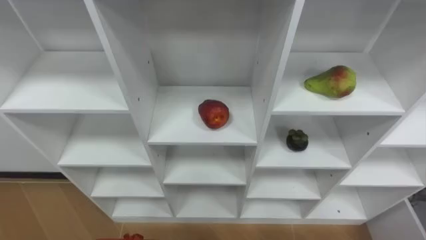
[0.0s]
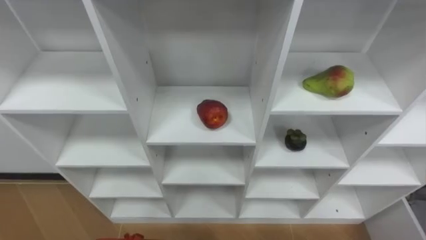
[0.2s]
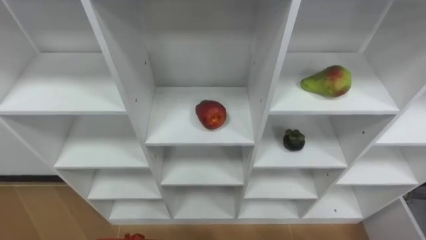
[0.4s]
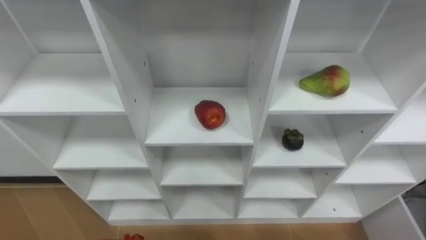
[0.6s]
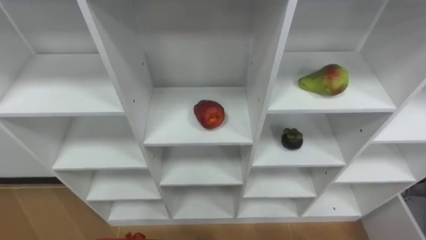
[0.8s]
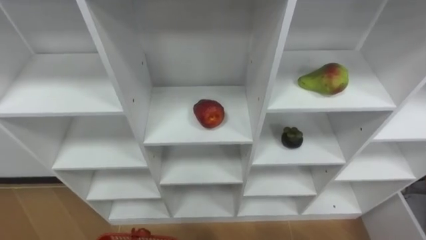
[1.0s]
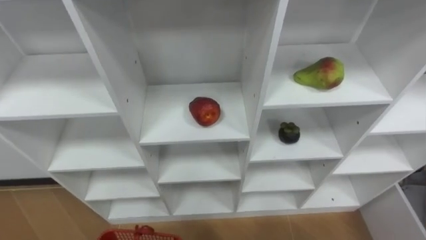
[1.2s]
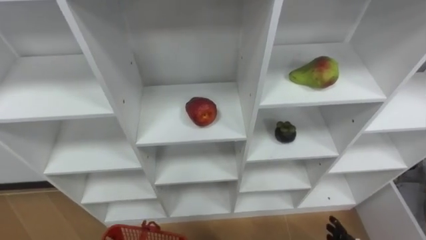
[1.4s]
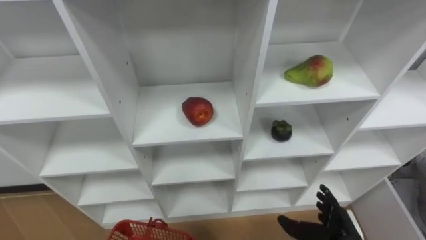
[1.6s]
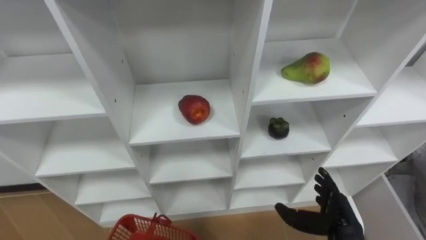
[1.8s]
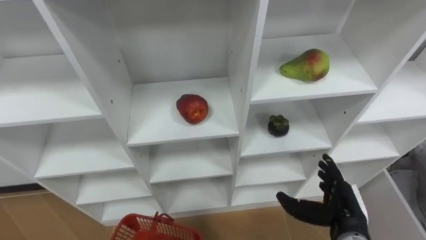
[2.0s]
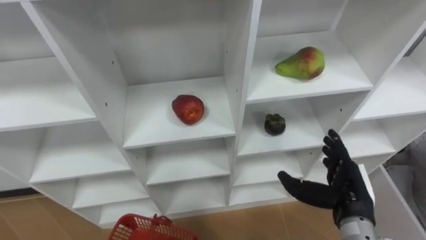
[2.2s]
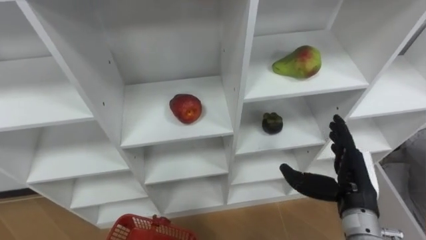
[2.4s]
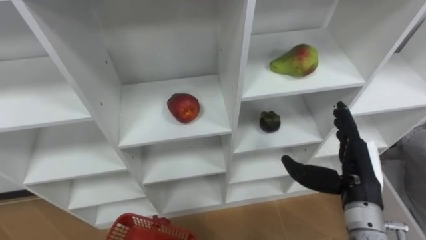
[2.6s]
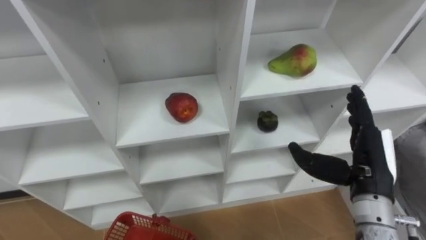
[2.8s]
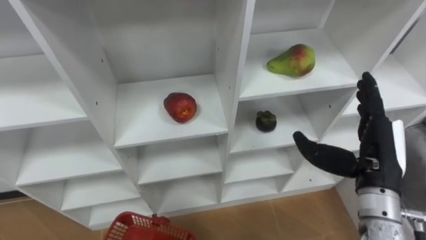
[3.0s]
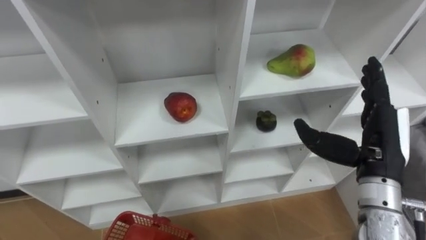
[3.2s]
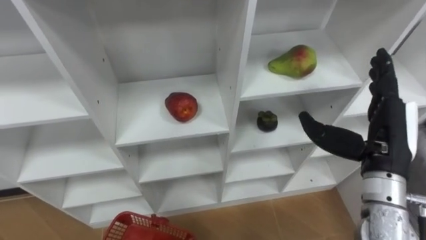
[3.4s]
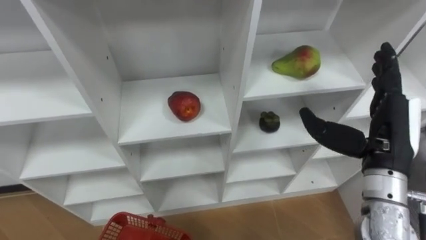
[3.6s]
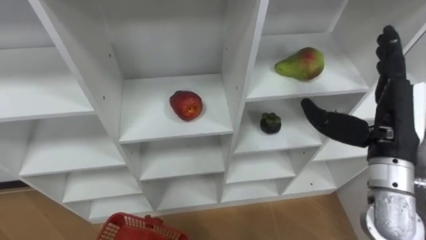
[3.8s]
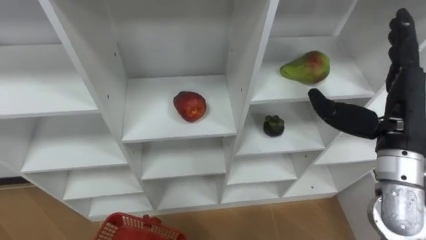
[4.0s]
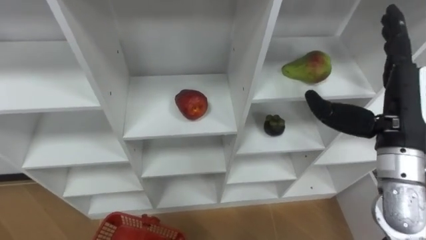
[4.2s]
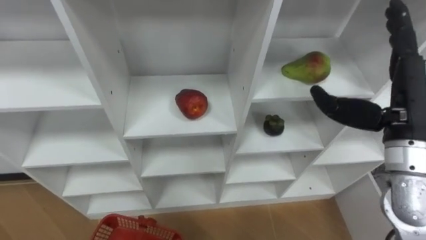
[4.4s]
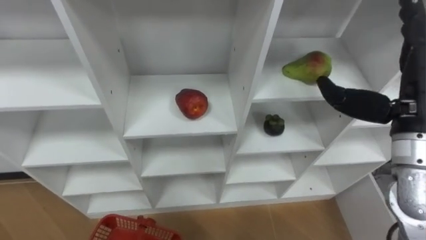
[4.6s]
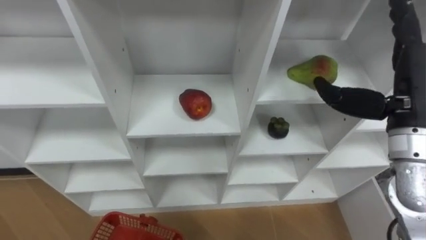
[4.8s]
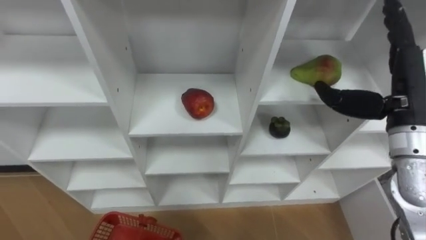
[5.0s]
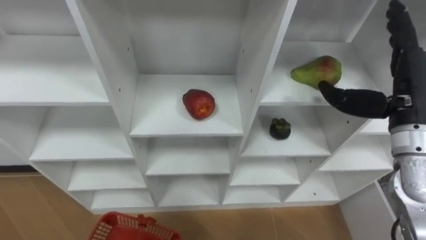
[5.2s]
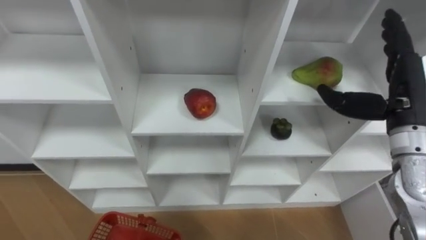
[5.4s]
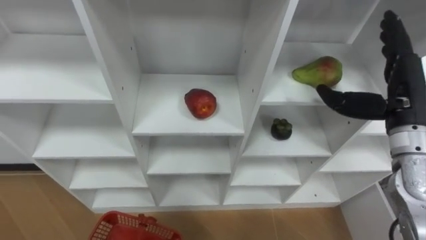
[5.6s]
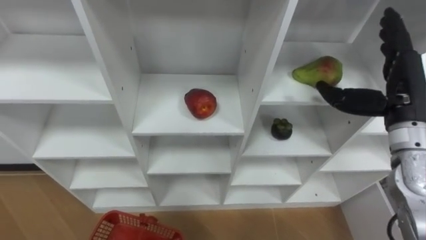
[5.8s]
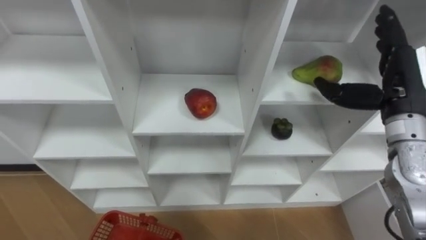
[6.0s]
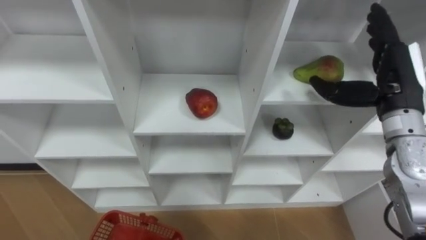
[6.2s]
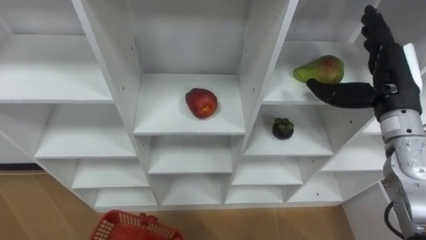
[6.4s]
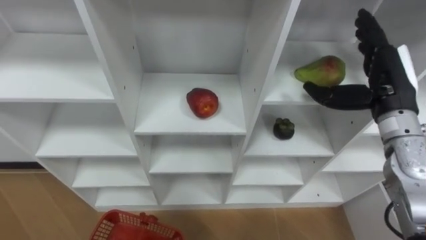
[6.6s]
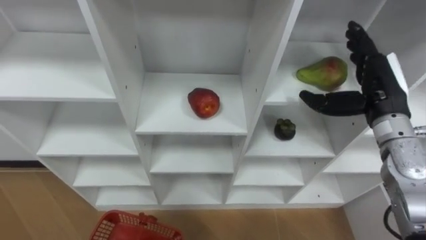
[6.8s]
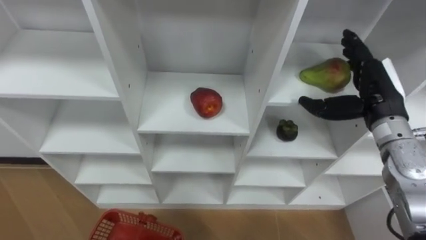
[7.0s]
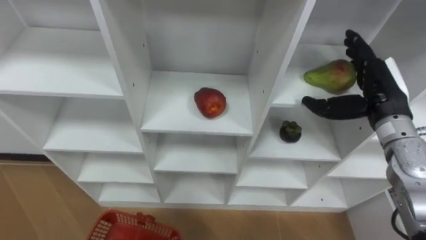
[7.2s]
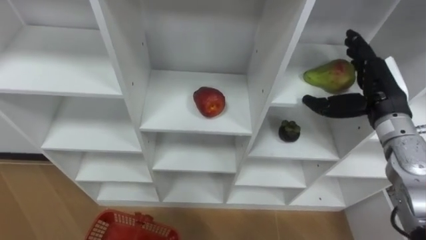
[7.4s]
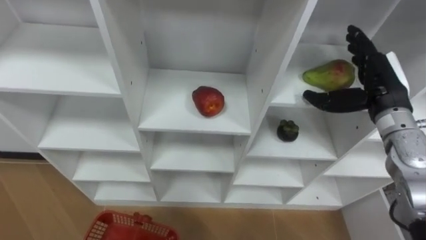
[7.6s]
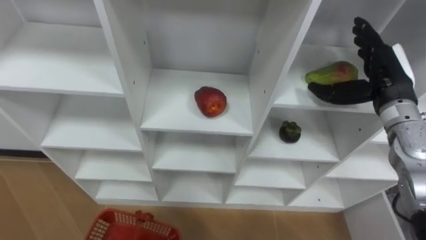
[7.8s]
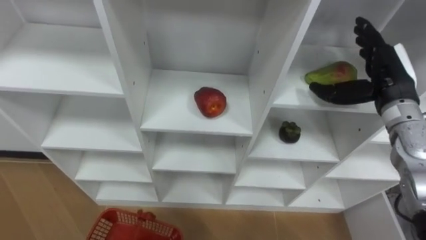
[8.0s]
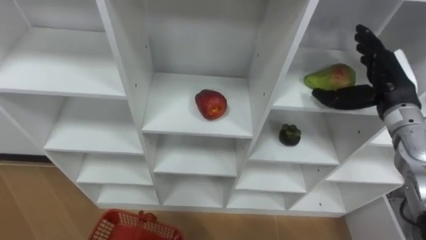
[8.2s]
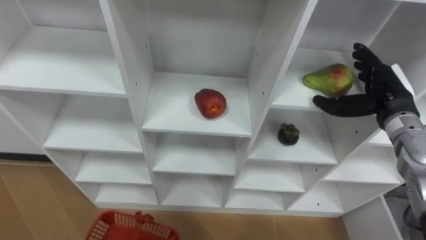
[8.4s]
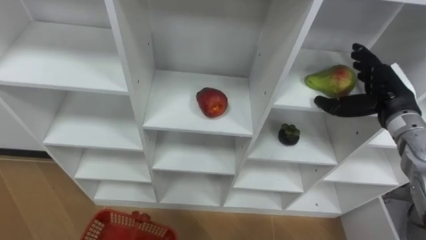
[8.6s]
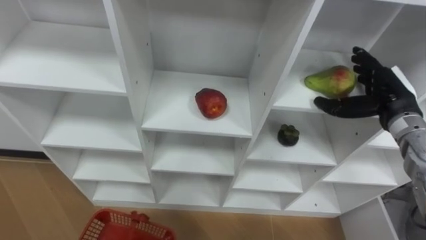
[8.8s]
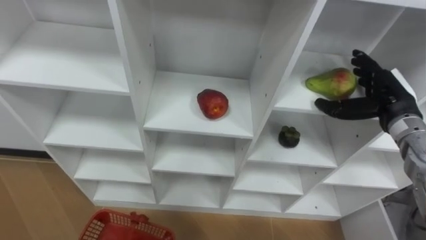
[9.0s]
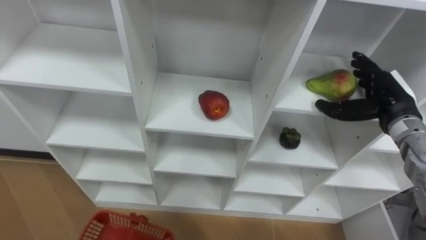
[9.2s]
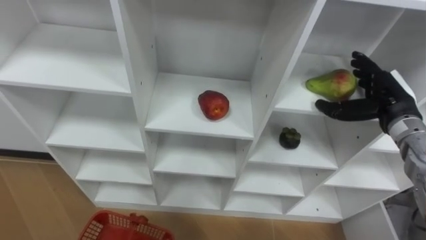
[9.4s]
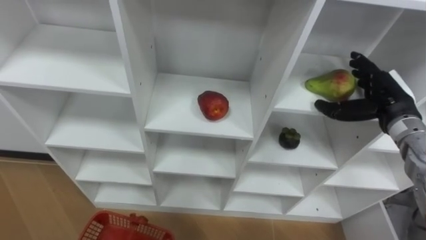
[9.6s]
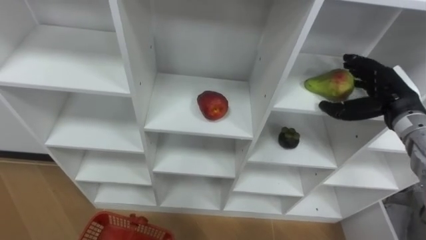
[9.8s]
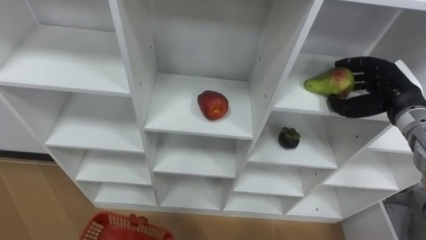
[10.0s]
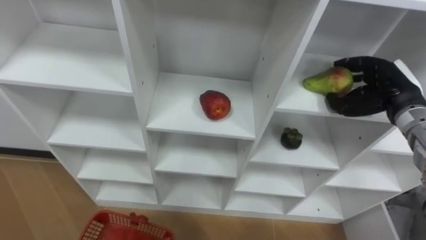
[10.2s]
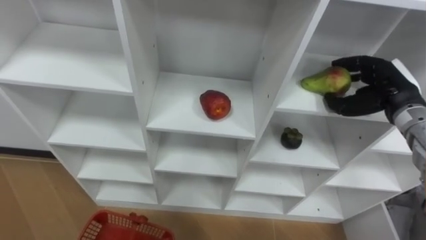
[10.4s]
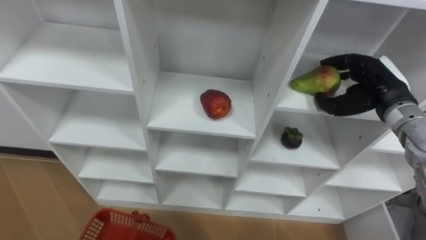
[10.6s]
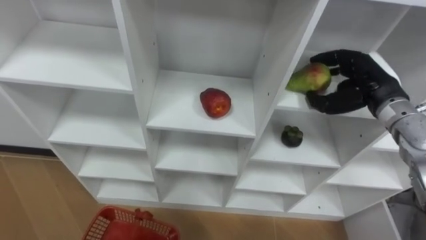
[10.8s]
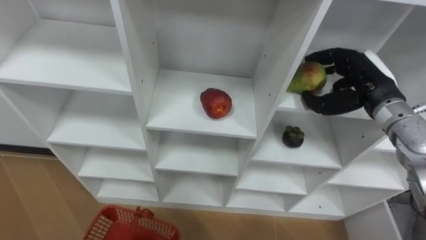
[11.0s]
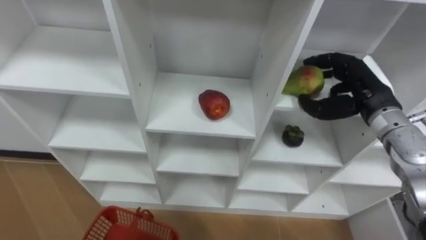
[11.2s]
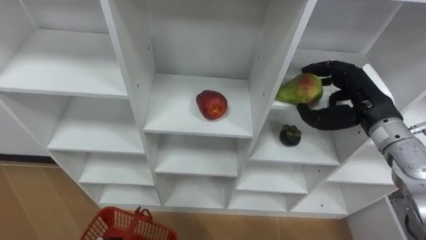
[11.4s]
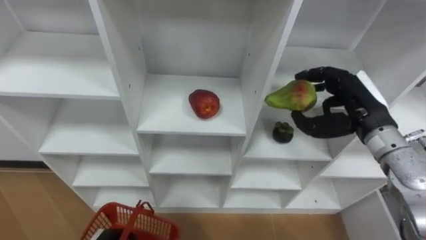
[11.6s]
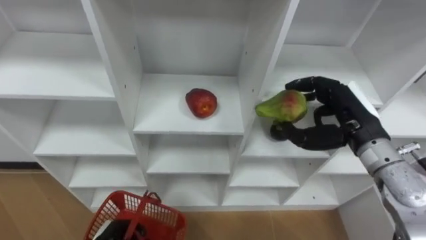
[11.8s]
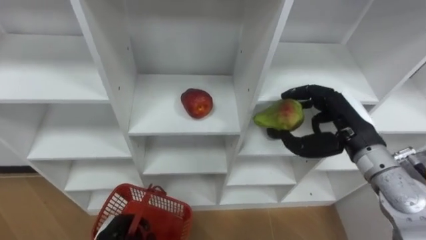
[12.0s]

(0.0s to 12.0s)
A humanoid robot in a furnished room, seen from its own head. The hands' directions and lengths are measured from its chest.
Task of the whole recording: Hold the basket and collect the fruits from 3 different cells of the closet into it.
1.6s - 3.0s: The right hand moves upward, approximately 20 cm.
3.0s - 4.4s: The right hand travels upward by roughly 10 cm.
4.4s - 6.0s: The right hand is displaced forward by roughly 5 cm.
7.6s - 9.0s: The right hand shifts by some 5 cm.
9.0s - 10.4s: The right hand closes.
10.4s - 12.0s: The right hand goes approximately 10 cm to the left and backward.

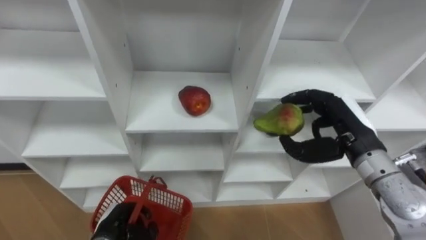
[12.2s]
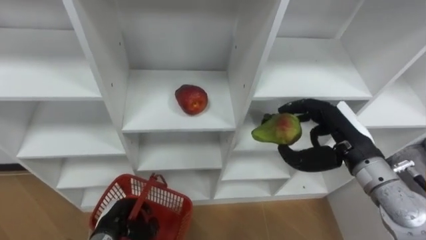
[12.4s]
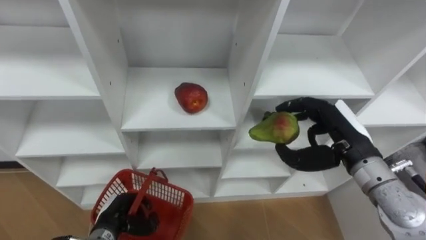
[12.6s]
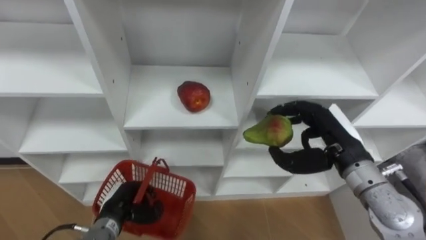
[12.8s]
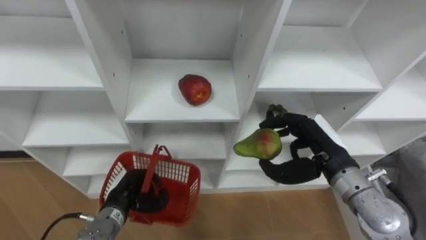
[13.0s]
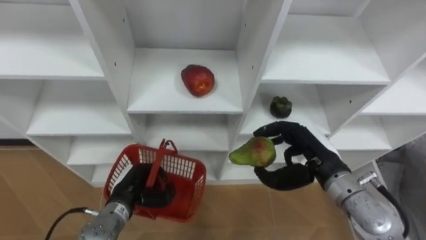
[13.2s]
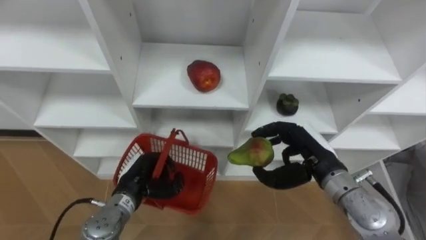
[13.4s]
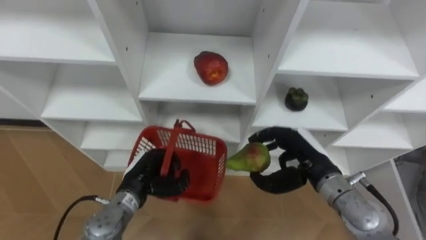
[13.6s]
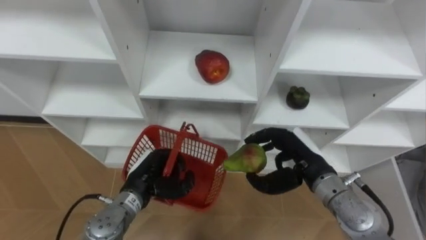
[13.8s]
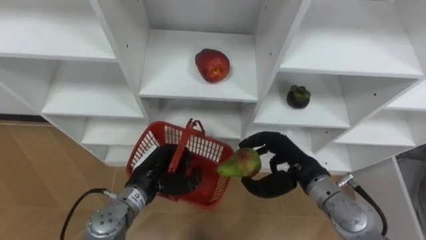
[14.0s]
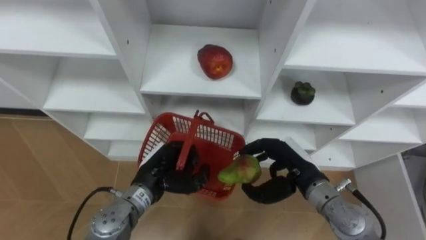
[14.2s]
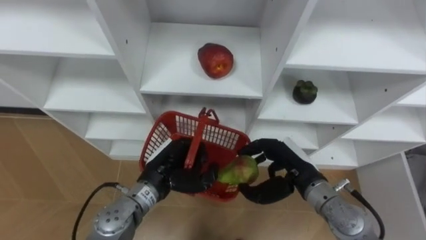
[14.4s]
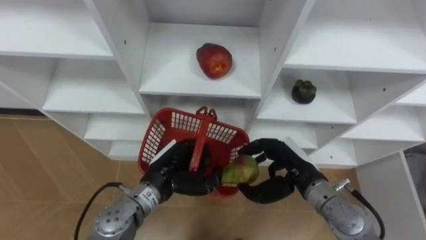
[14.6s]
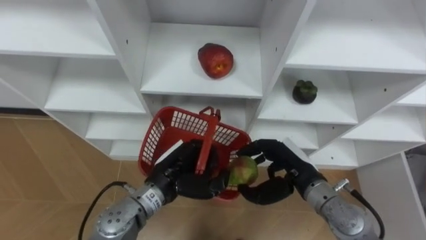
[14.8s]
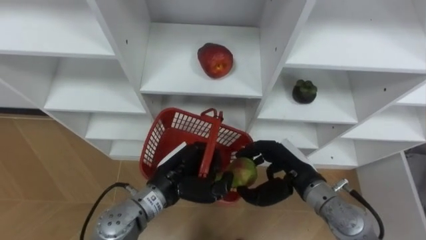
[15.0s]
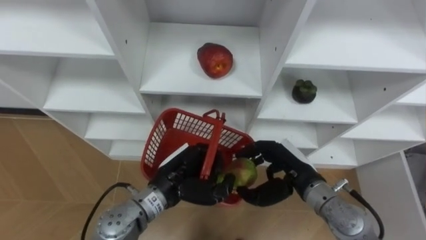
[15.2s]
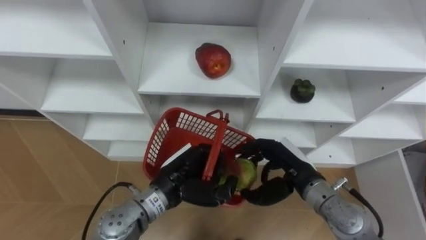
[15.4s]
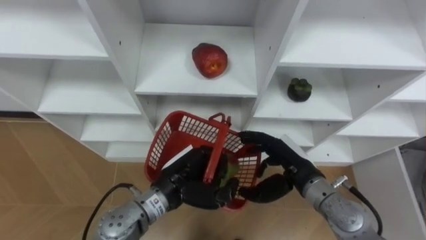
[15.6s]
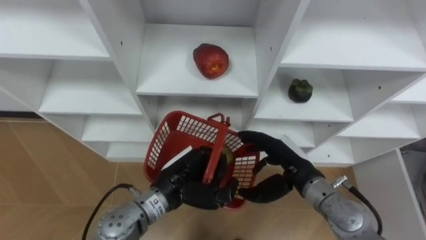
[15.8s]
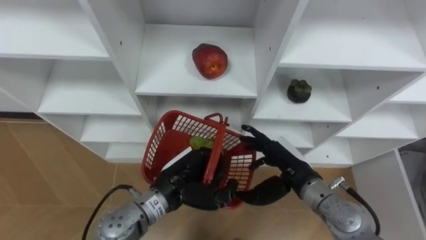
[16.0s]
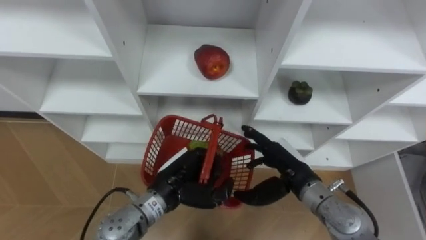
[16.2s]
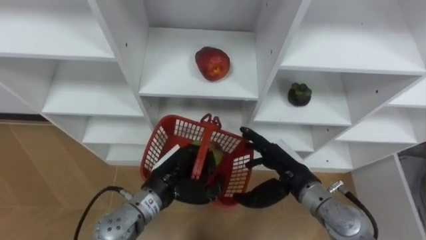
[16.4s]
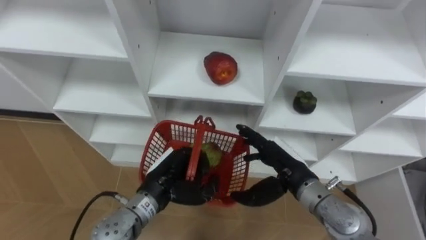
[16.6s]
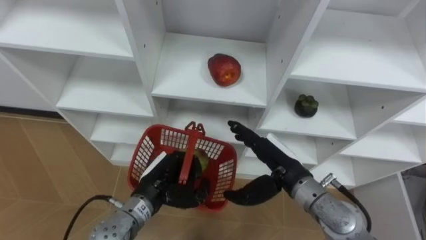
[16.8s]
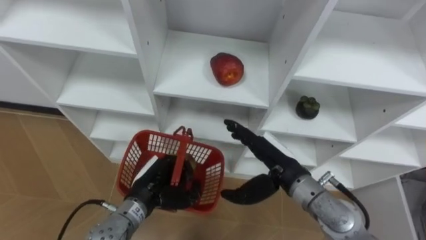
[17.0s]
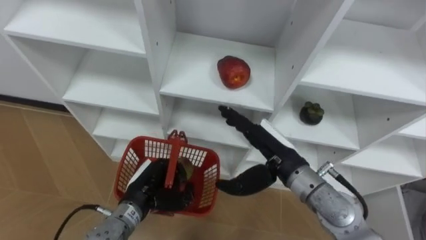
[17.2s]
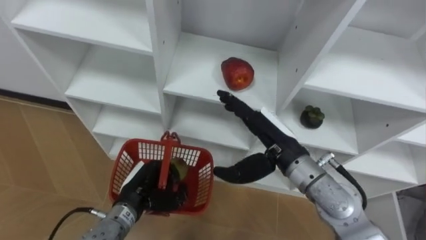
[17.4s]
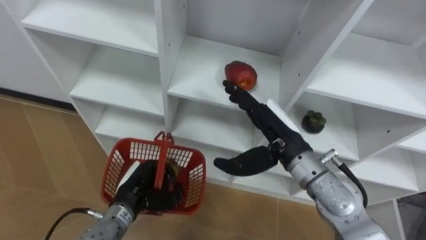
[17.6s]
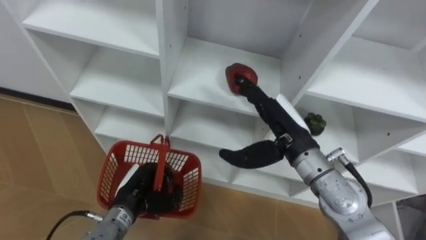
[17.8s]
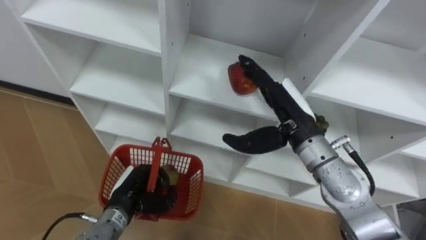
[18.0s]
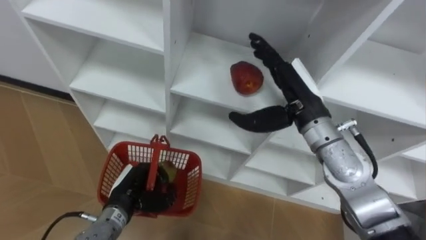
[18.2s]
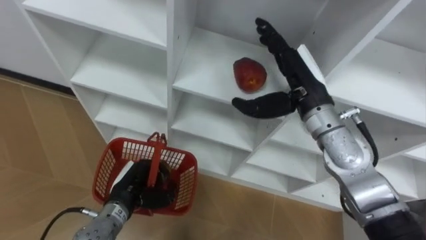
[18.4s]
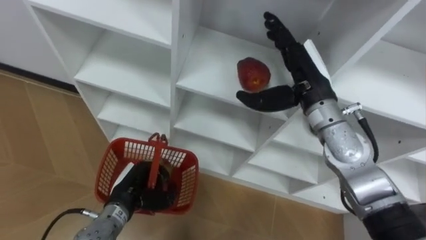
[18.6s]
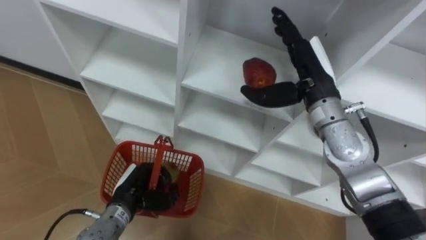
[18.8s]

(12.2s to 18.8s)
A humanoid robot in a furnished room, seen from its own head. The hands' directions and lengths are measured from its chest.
Task of the whole recording: Hold the basket and collect the fruits from 3 different cells of the closet into it.
12.2s - 13.8s: The right hand travels downward and to the left by about 10 cm; the left hand shifts approximately 15 cm upward, forward and to the right.
13.8s - 15.4s: The left hand shifts approximately 10 cm to the right and upward.
15.4s - 17.2s: The right hand travels upward by some 5 cm, and opens, while the left hand goes roughly 10 cm to the left and downward.
17.2s - 18.8s: The right hand shifts about 15 cm upward, forward and to the right.
